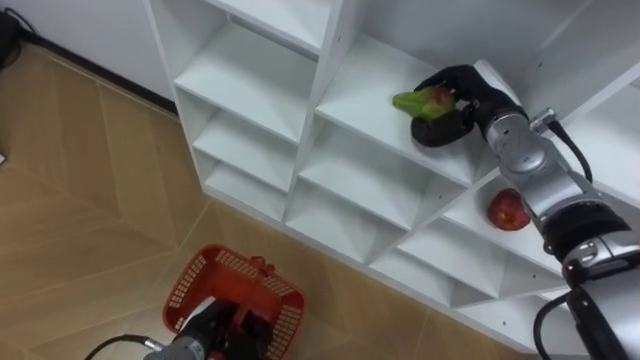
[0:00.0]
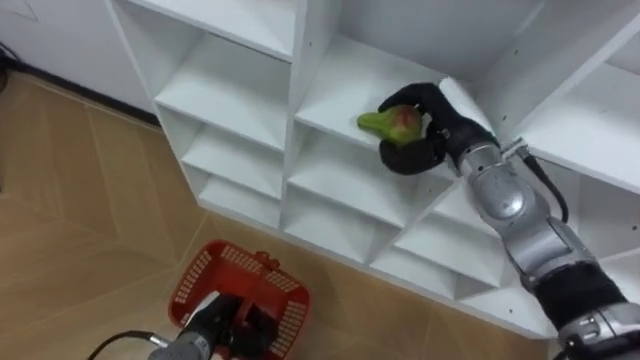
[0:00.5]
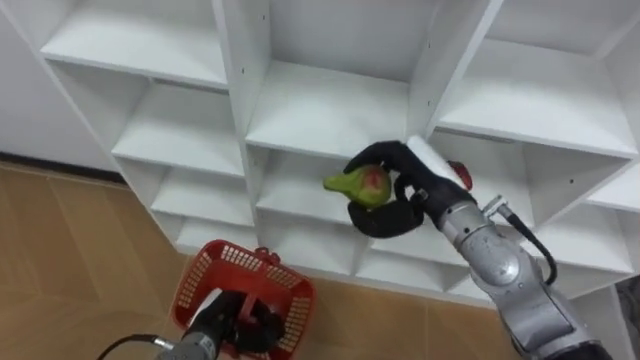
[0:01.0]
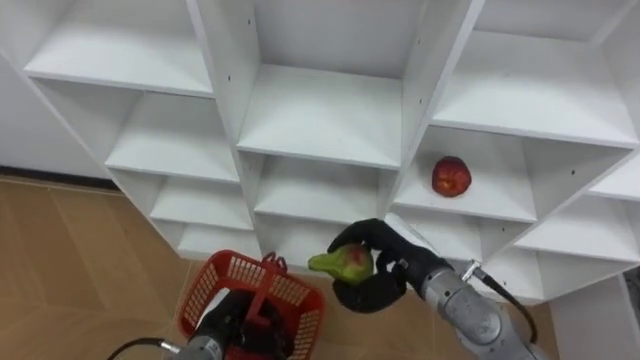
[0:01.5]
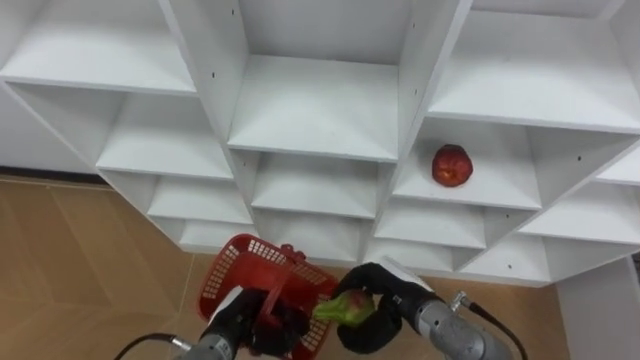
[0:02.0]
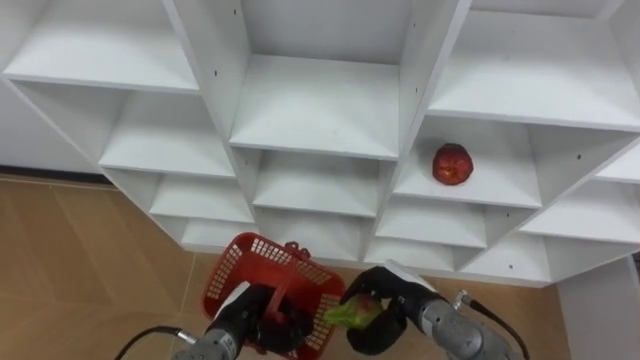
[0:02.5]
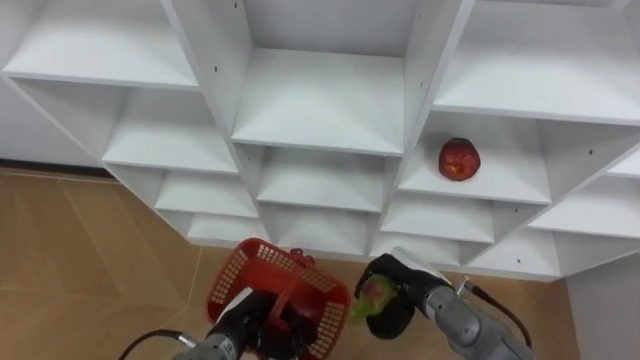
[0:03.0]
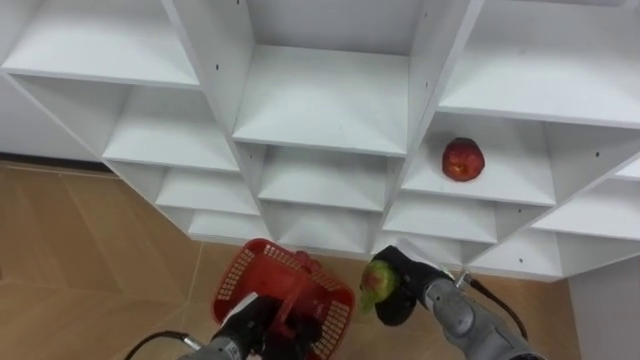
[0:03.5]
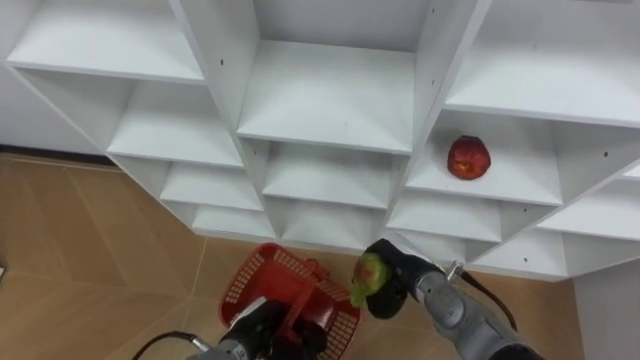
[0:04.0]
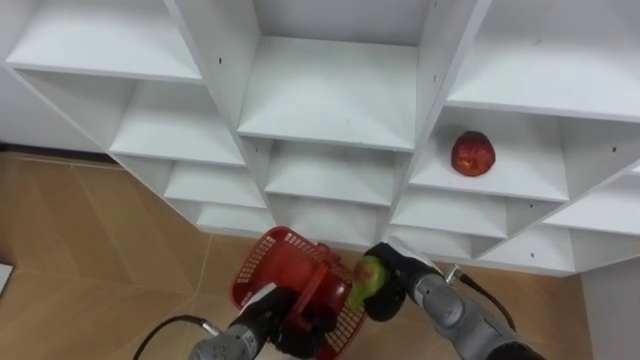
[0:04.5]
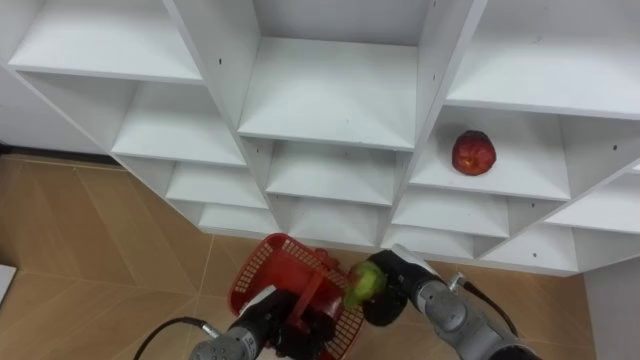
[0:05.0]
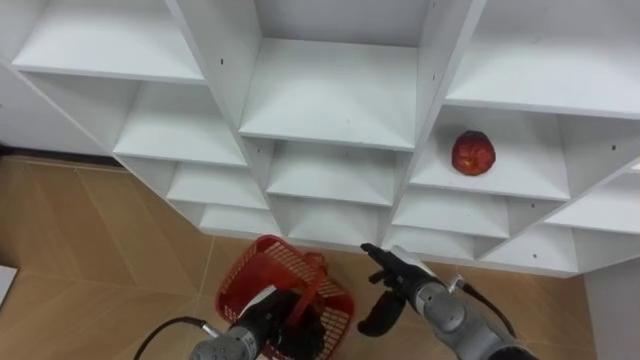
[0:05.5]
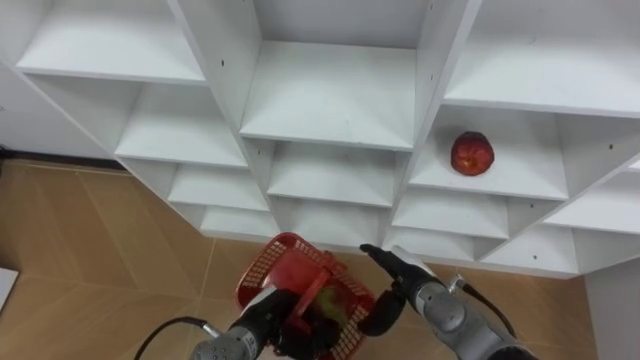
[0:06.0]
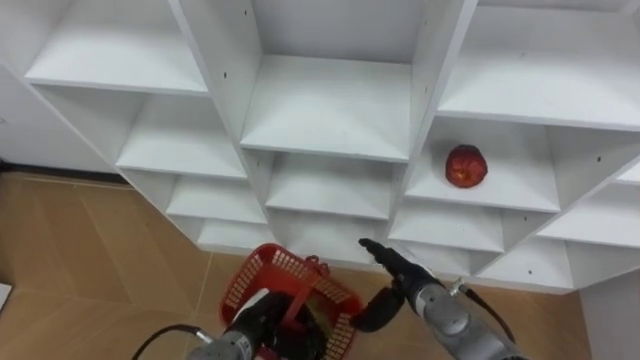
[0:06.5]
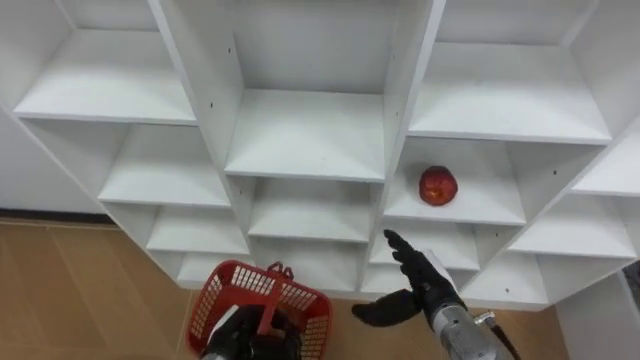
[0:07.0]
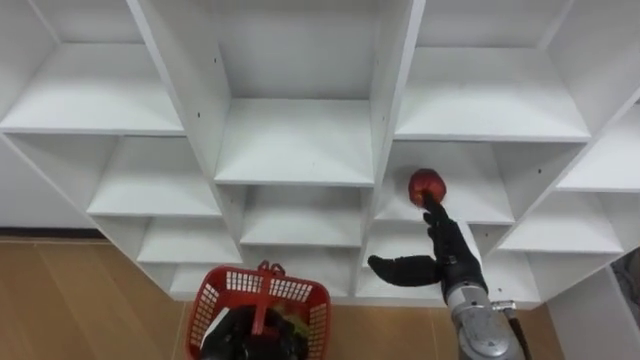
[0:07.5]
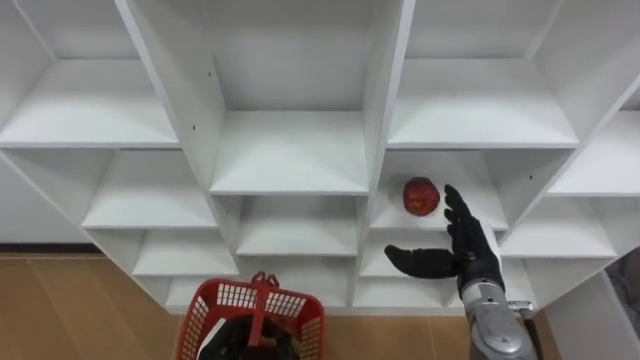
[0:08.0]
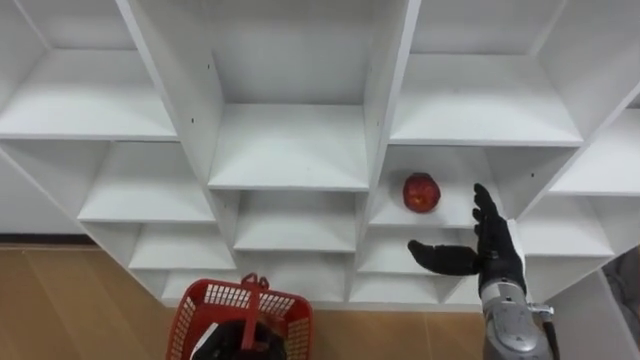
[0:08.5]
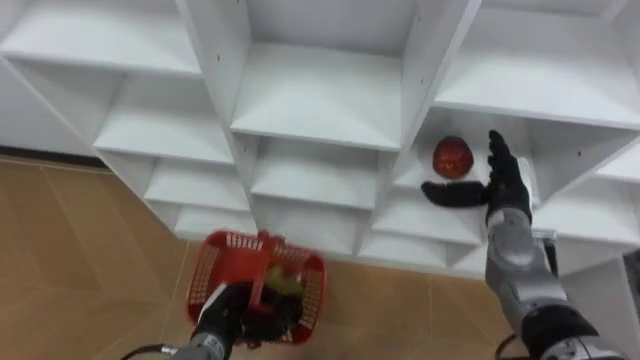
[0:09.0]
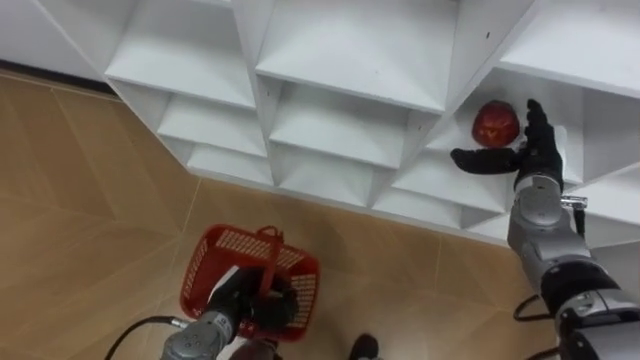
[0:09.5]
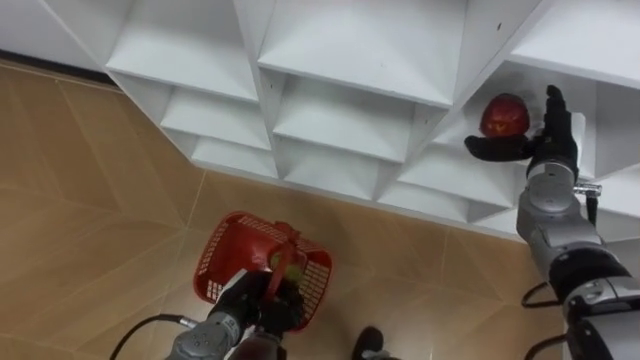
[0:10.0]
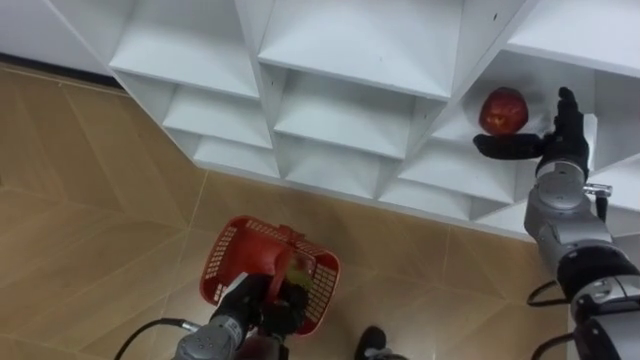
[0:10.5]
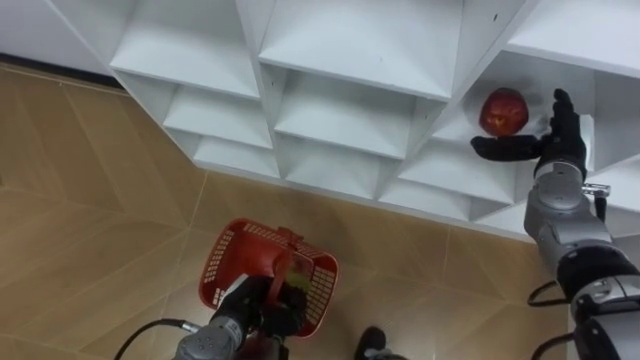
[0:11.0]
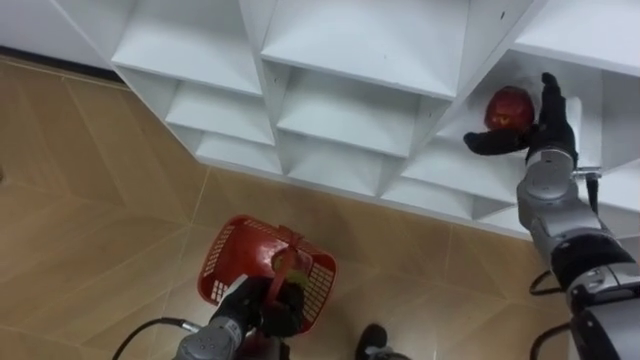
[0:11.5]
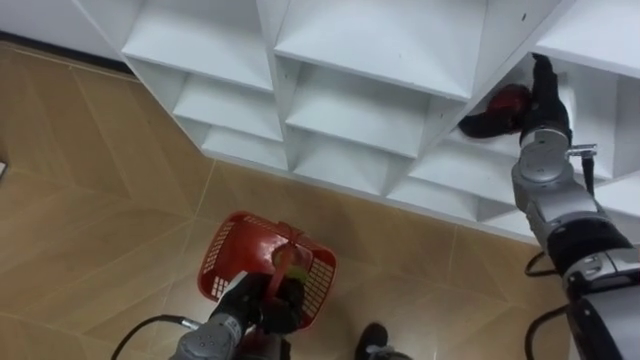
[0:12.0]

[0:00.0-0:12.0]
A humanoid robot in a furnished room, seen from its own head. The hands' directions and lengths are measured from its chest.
Task of the whole recording: Hold the basket and collect the fruits from 3 different cells of the closet into it.
0:00.0 to 0:02.0: The right hand is displaced backward, downward and to the left by roughly 25 cm.
0:04.0 to 0:06.0: The right hand opens up.
0:06.0 to 0:08.0: The left hand travels to the left by roughly 5 cm; the right hand heads to the right and upward, covering some 10 cm.
0:08.0 to 0:10.0: The left hand is displaced forward by roughly 5 cm. The right hand goes roughly 15 cm forward, to the right and upward.
0:10.0 to 0:12.0: The right hand changes place by approximately 5 cm.

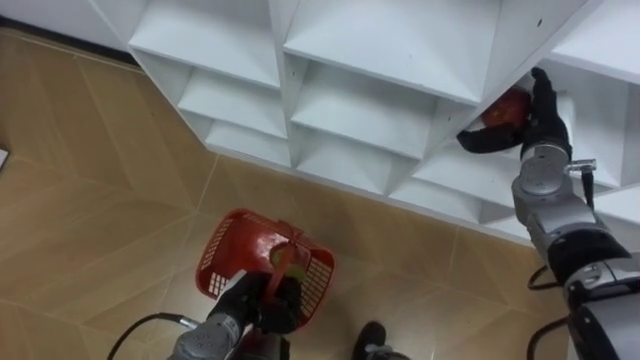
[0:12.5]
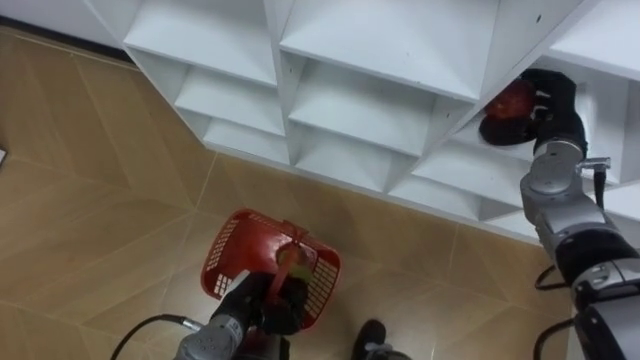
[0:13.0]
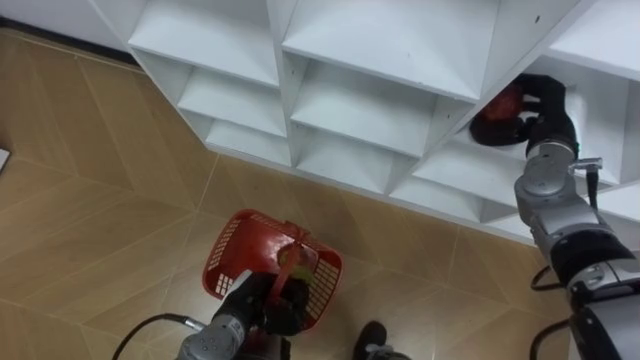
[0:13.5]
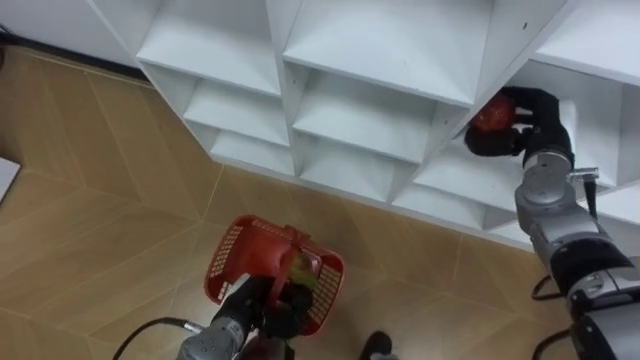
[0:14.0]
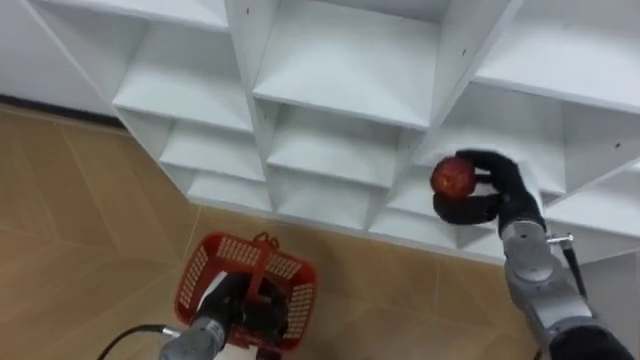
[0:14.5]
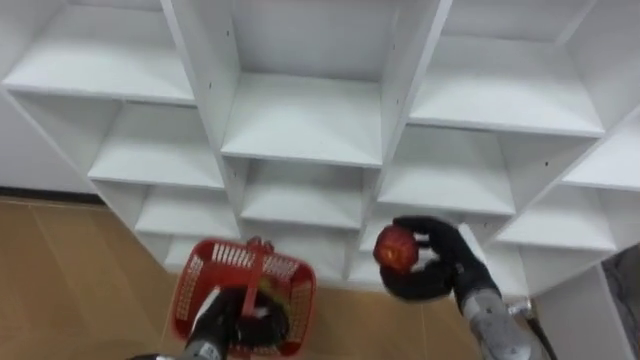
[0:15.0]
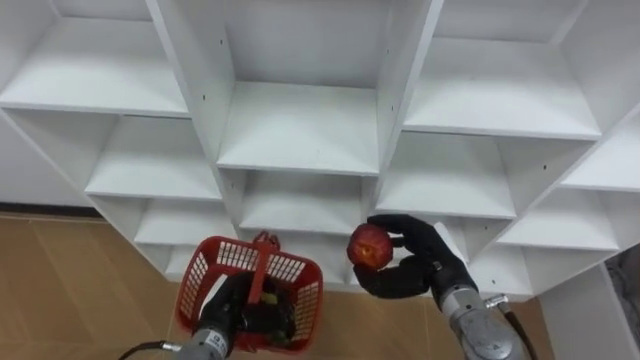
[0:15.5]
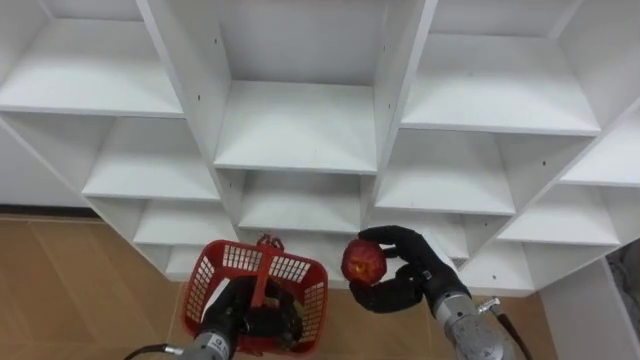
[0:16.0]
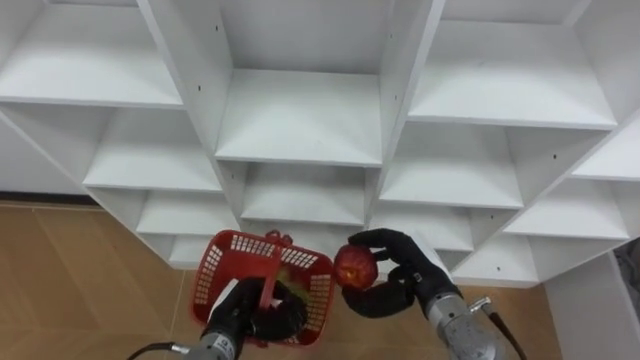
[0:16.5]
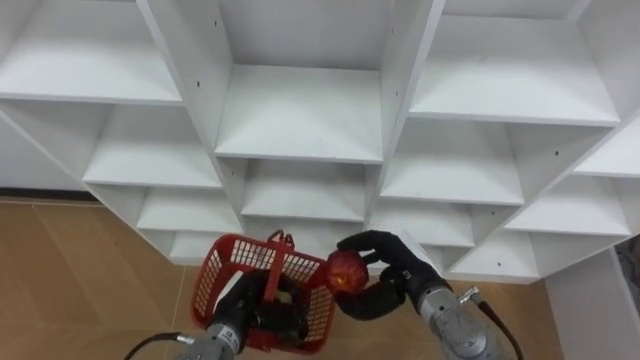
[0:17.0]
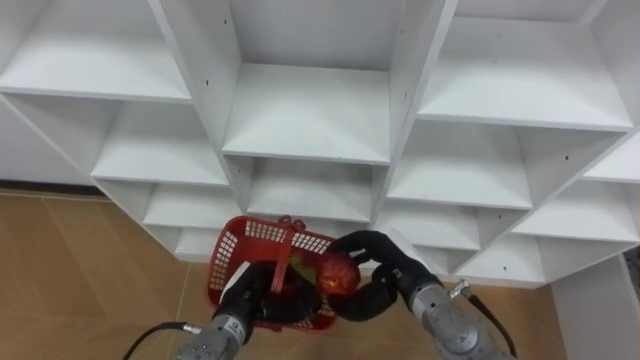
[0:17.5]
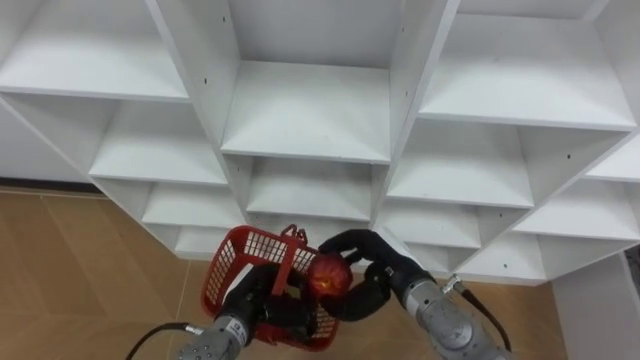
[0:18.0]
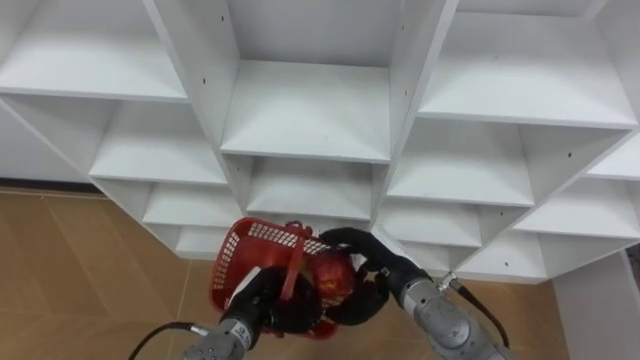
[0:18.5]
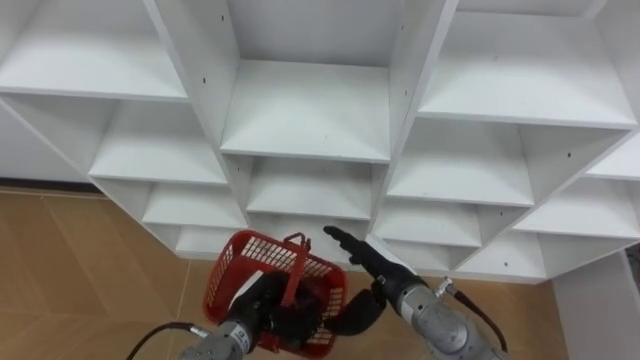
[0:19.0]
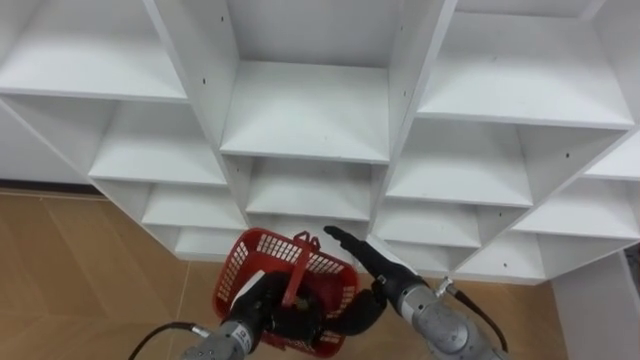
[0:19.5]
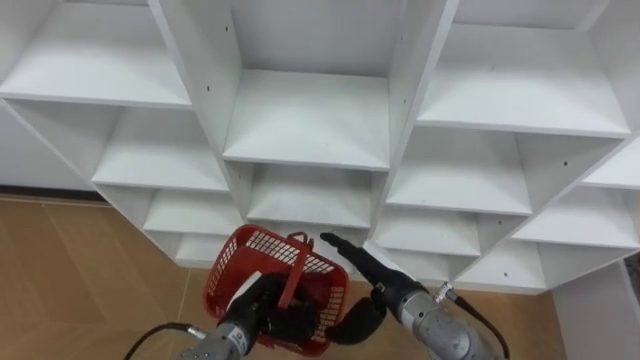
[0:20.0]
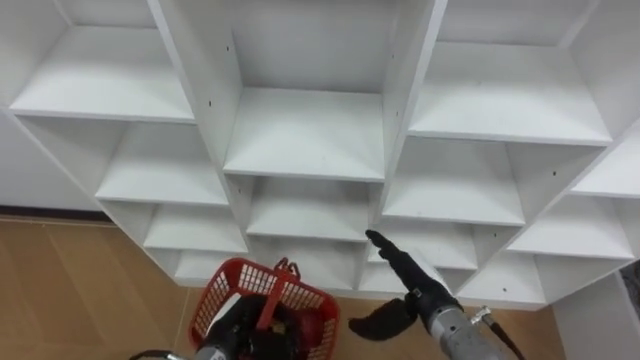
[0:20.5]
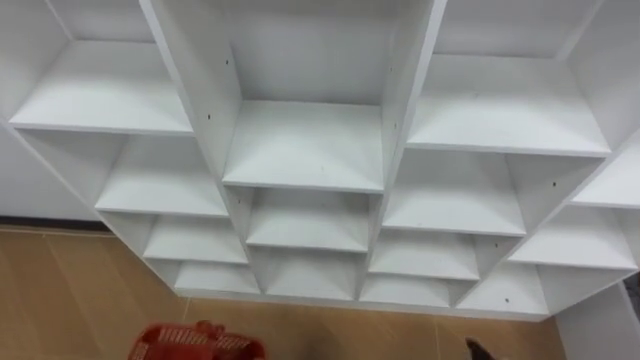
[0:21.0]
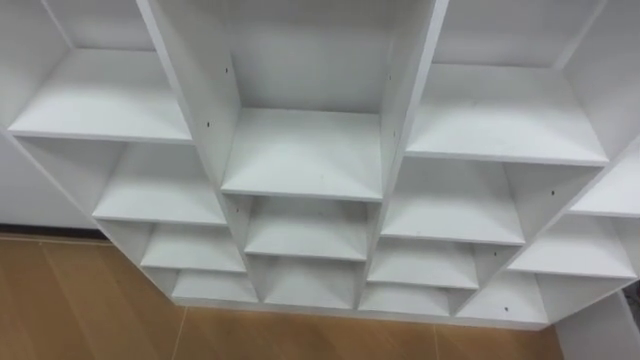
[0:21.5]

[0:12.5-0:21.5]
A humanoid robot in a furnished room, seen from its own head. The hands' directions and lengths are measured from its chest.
Task of the whole recording: Hold the basket and collect the fruits from 3 different cells of the closet into it.
0:12.5 to 0:14.5: The right hand travels downward and backward by about 10 cm, and closes up.
0:14.5 to 0:17.0: The right hand heads to the left, backward and downward, covering some 15 cm.
0:17.0 to 0:19.5: The right hand opens its fingers.
